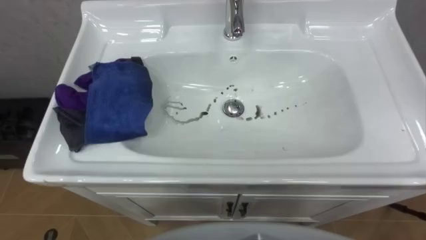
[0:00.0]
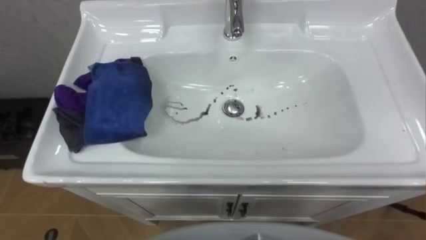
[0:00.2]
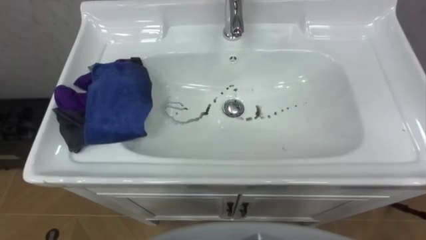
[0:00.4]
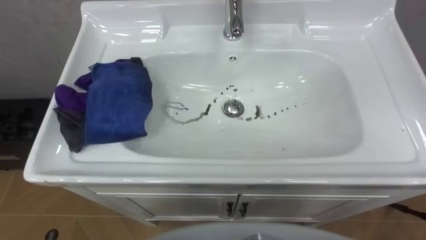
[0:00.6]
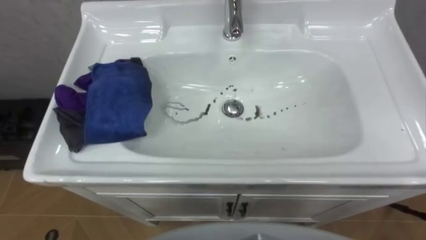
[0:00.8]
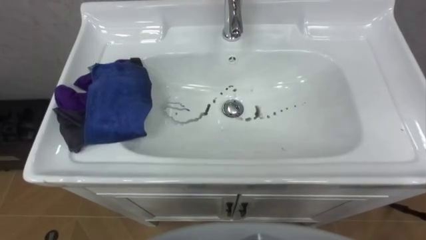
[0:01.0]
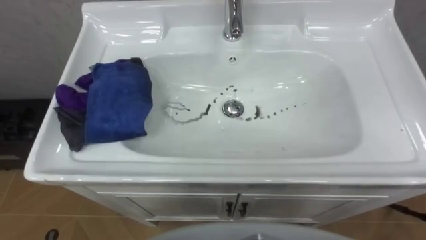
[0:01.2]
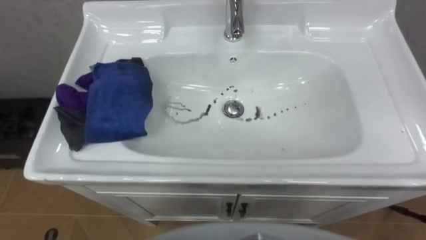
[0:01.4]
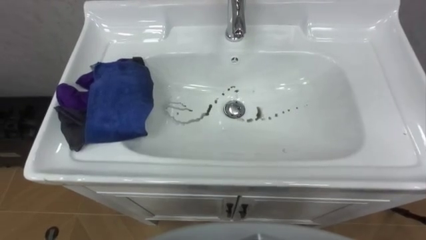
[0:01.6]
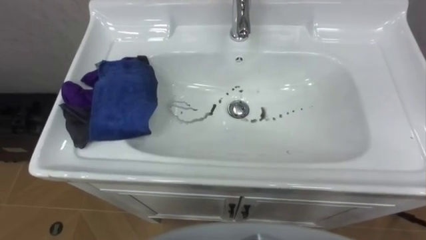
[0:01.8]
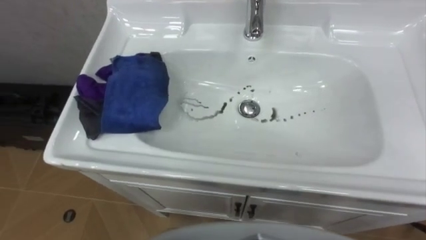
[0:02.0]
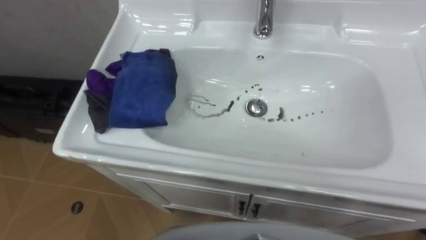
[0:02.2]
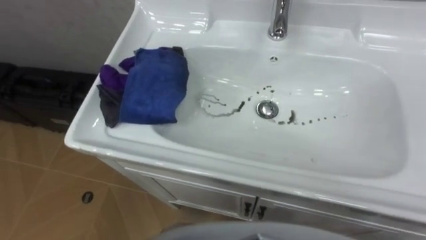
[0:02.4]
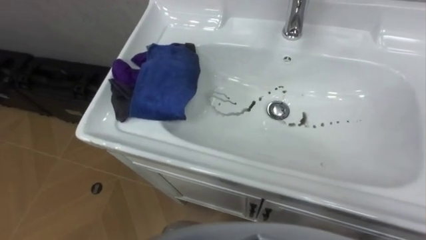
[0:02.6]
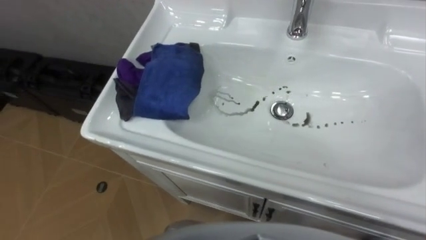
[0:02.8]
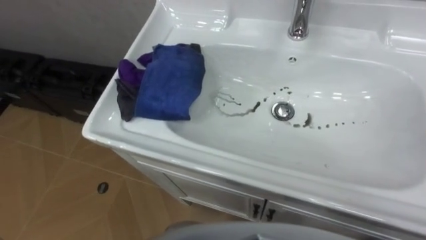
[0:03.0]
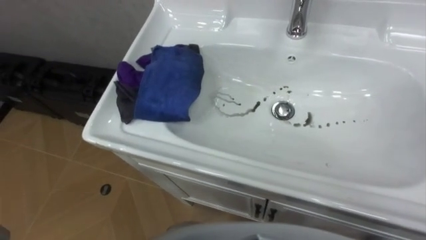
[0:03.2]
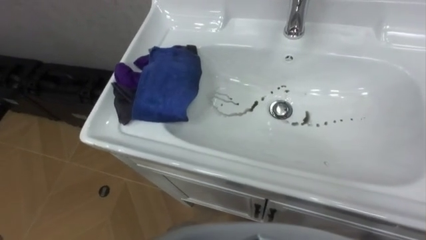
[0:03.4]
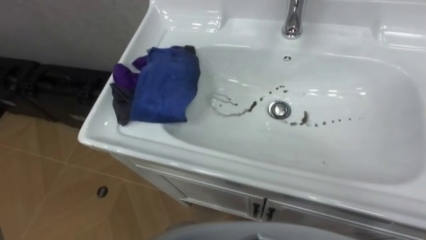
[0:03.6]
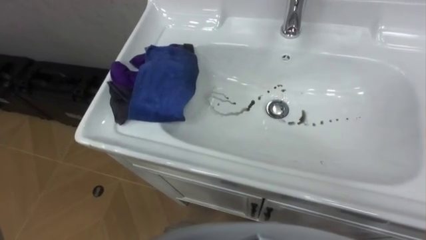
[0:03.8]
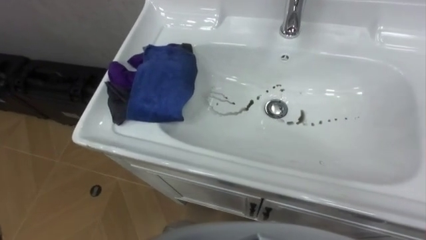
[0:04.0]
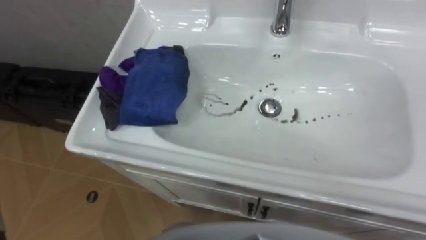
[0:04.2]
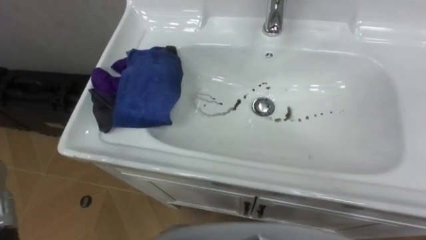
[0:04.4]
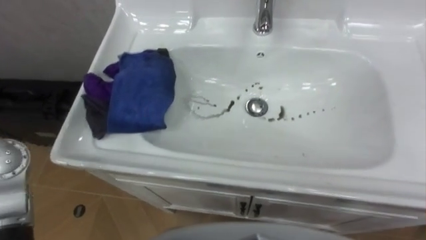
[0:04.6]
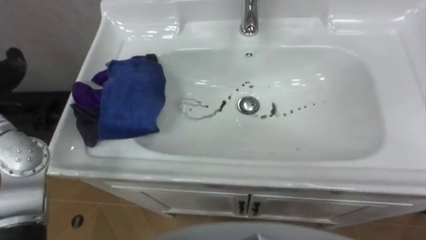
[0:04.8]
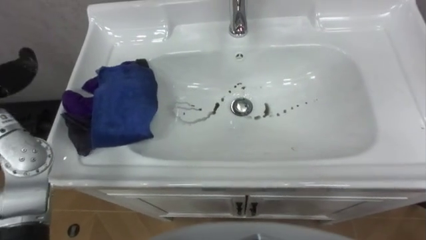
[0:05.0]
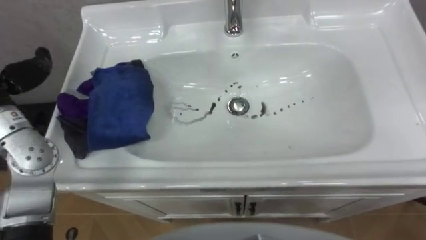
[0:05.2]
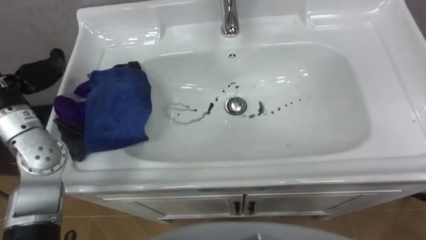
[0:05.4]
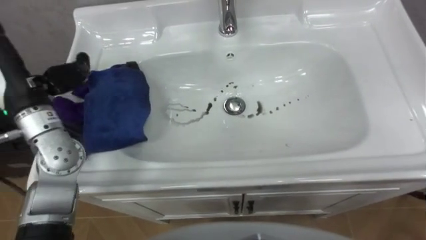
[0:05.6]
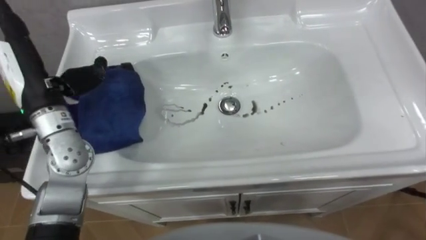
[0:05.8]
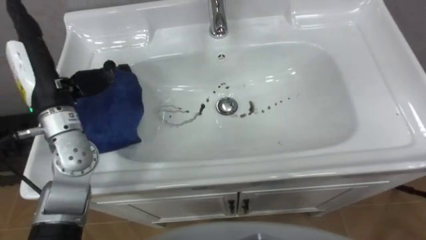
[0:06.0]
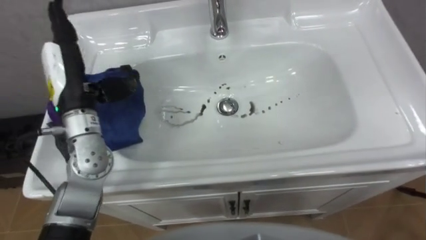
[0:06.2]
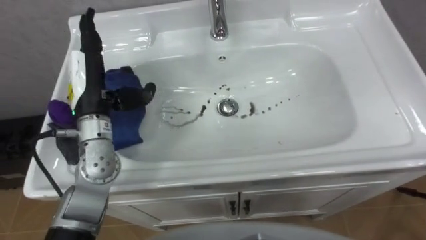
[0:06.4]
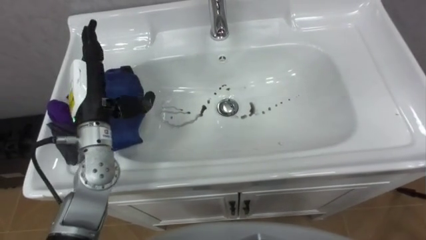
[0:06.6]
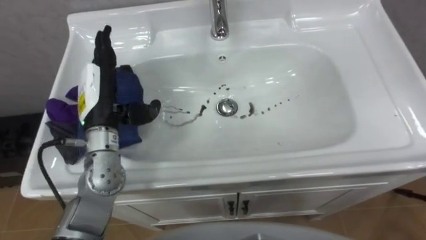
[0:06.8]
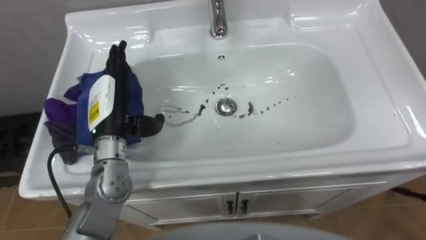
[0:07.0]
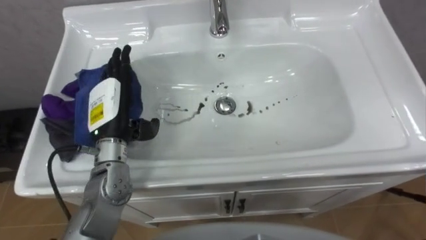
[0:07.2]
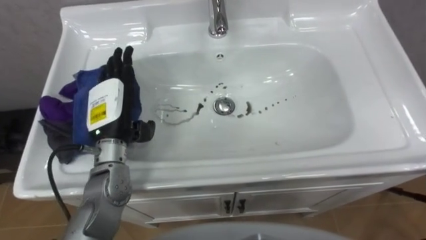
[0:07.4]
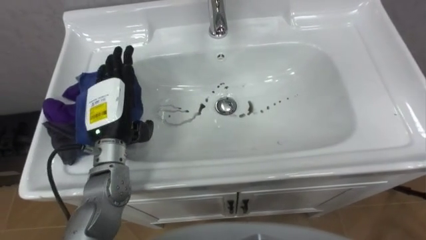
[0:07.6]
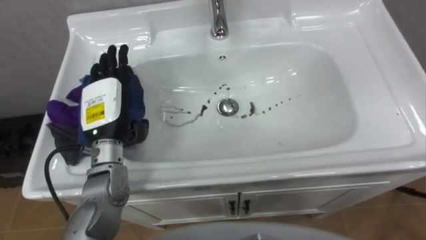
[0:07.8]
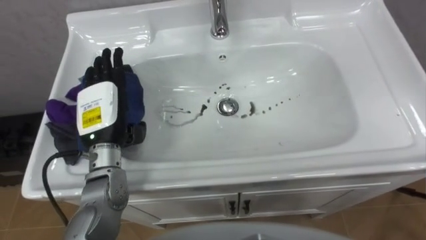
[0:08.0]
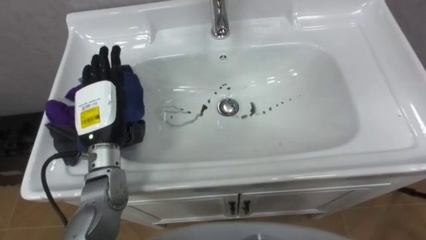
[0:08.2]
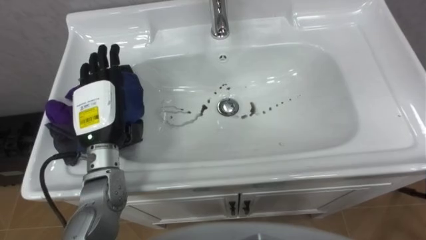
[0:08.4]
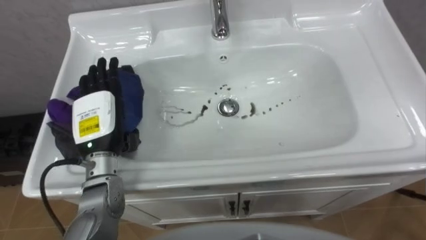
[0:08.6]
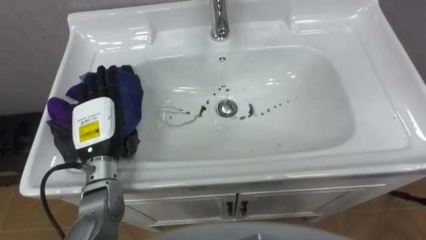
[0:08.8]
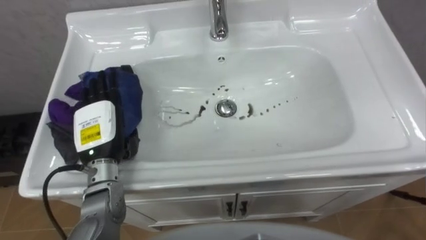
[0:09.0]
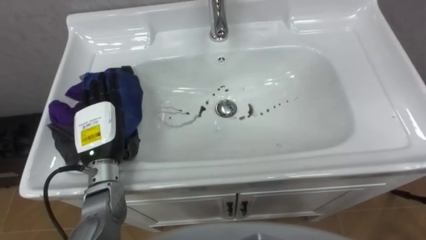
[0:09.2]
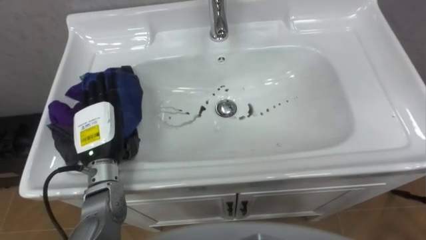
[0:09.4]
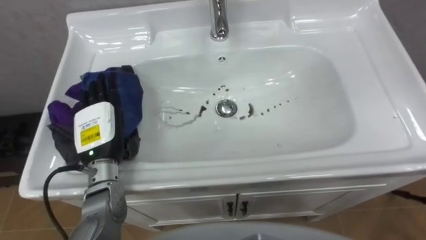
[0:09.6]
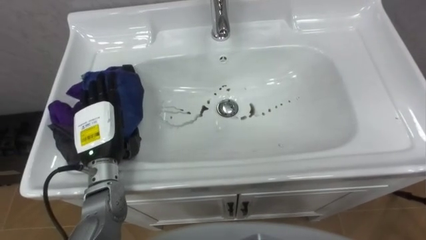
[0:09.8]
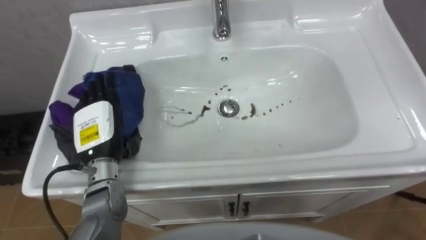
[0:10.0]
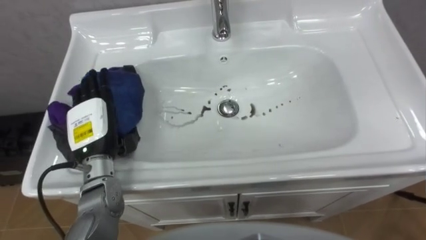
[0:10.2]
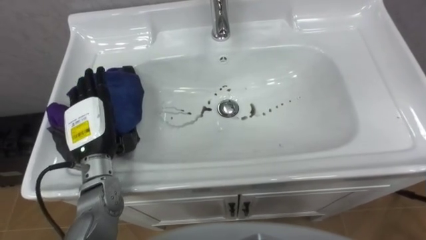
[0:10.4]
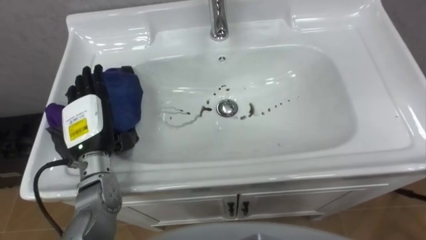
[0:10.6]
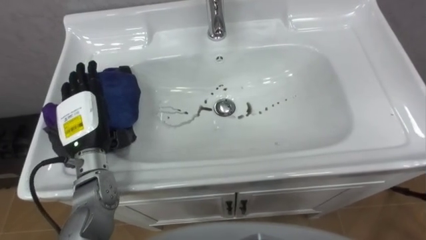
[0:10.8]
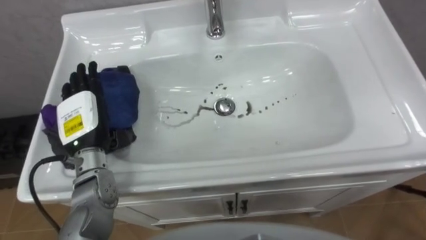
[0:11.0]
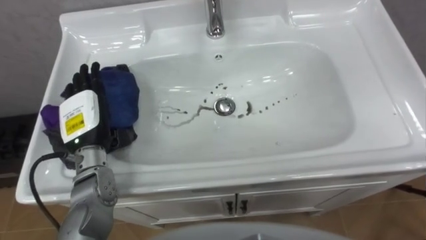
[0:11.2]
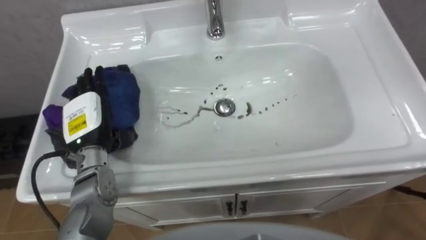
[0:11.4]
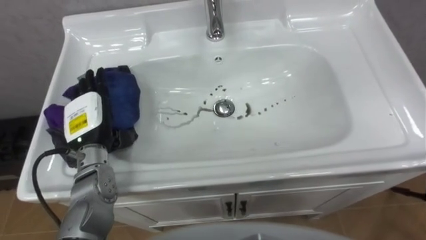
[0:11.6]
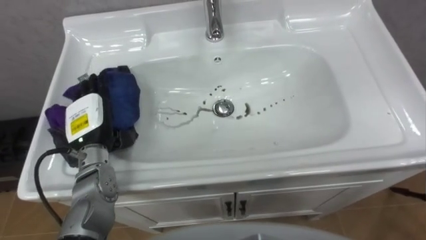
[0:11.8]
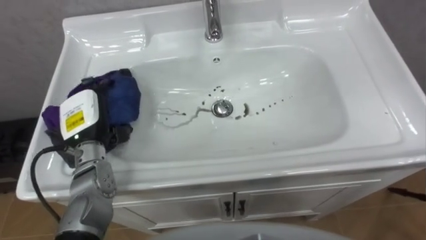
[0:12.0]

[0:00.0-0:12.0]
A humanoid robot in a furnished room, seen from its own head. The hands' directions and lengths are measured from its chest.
Task of the whole recording: Use the cloth on the right to wipe away the black stain in the sink.
0:06.0 to 0:07.6: The left hand heads to the right and downward, covering roughly 10 cm.
0:07.6 to 0:09.0: The left hand shifts by some 5 cm.

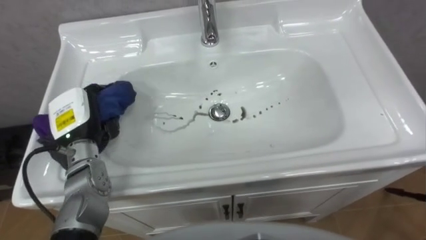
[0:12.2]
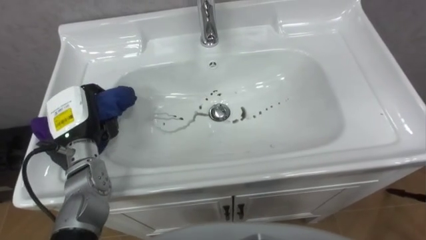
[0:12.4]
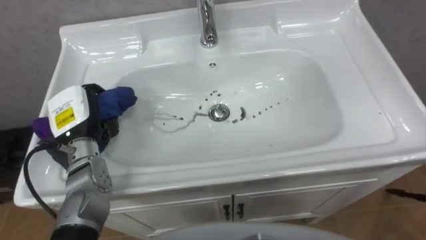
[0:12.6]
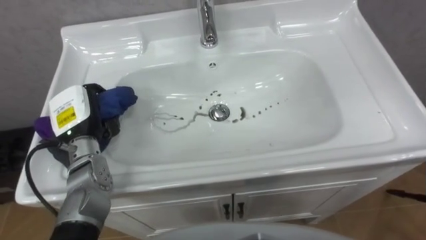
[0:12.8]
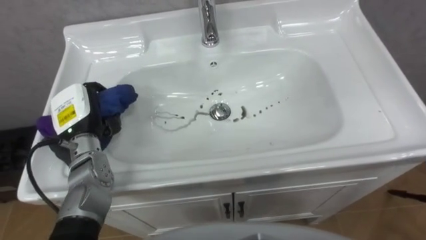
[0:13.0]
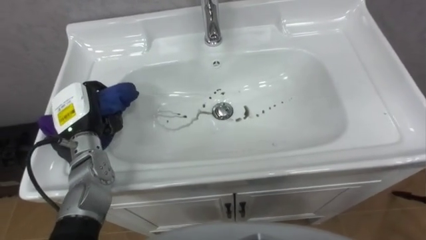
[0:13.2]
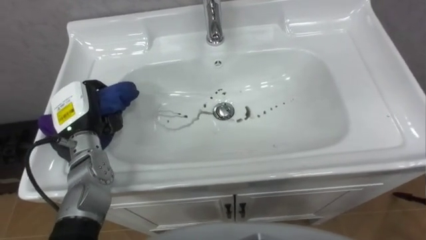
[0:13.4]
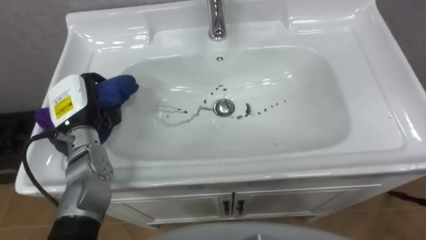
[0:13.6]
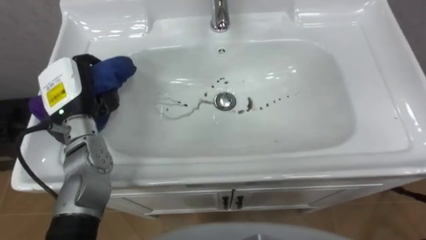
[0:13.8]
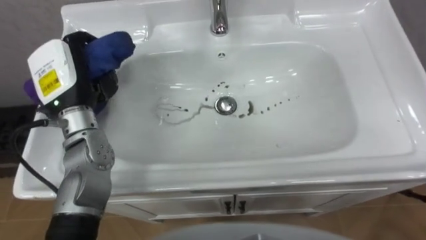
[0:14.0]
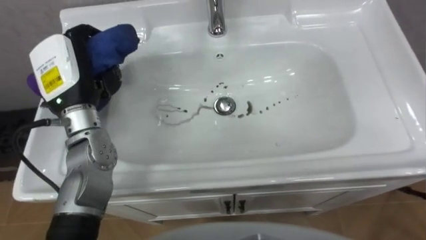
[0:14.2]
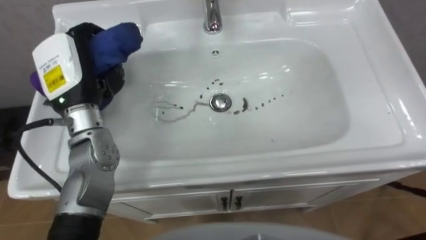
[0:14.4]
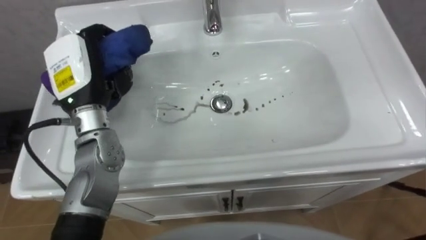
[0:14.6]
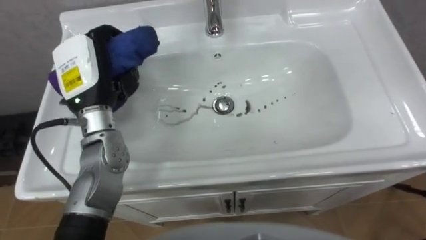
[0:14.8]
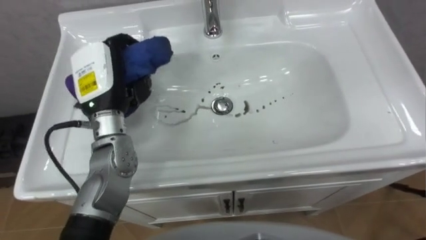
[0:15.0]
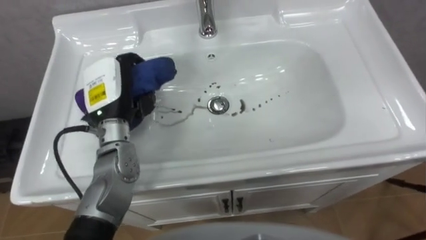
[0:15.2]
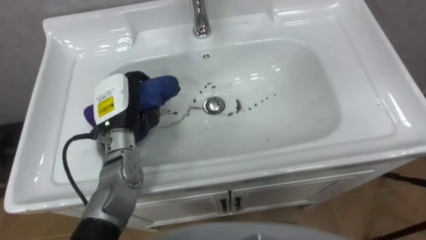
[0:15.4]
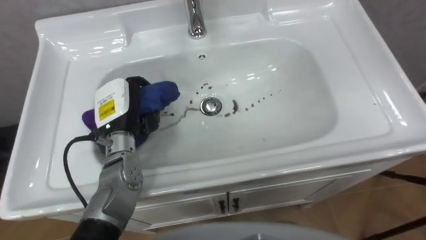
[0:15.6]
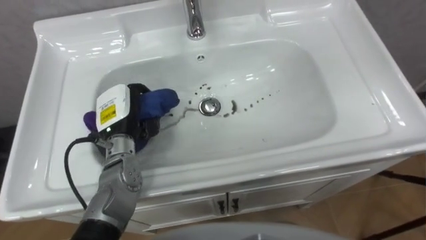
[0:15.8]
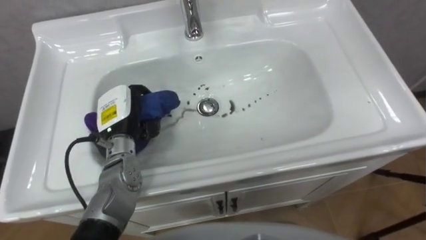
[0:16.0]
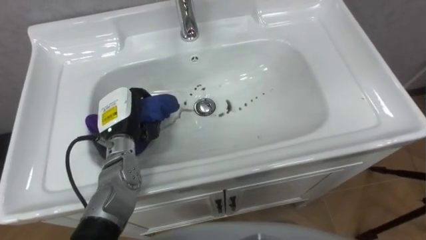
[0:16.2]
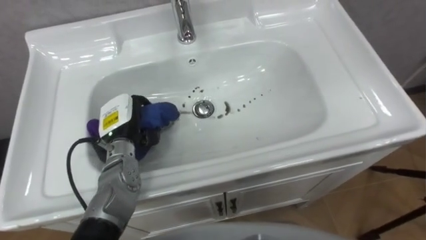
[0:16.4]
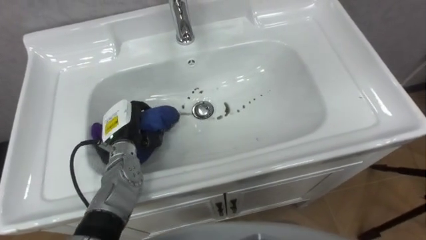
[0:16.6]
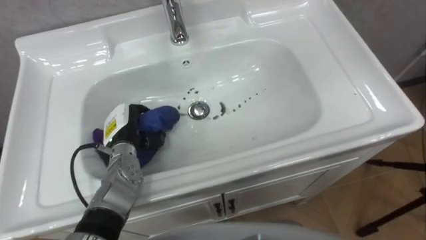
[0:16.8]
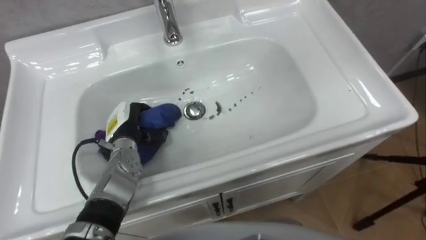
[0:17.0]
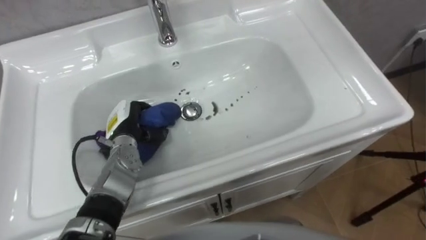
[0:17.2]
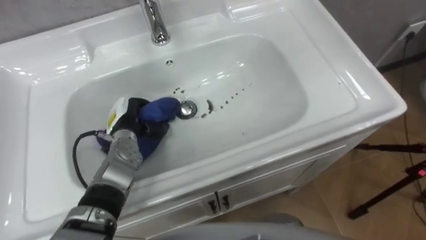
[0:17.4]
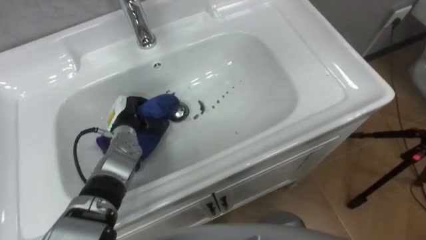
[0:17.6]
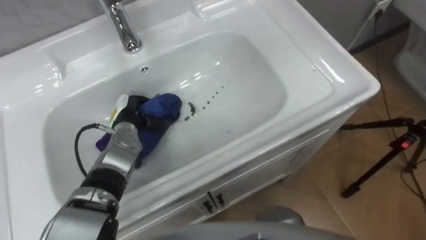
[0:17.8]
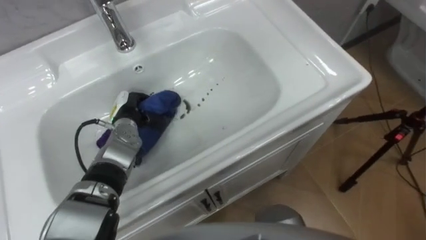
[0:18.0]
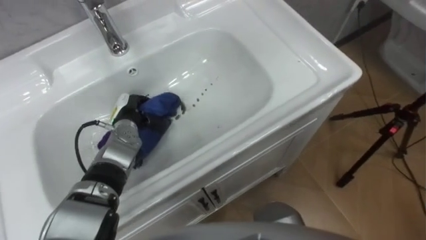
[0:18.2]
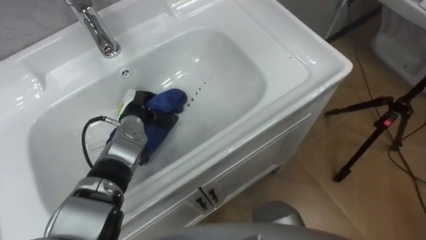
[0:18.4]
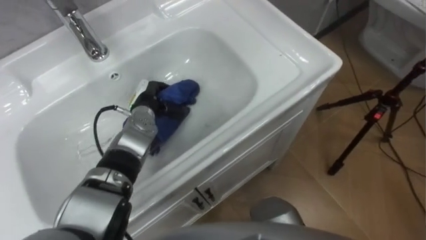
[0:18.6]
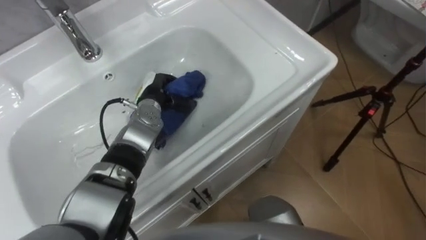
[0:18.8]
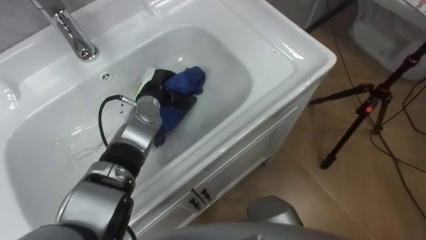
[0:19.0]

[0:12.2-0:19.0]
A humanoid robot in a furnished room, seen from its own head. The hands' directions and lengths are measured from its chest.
Task of the whole recording: Use the cloth on the right to wipe away the black stain in the sink.
0:13.6 to 0:15.0: The left hand goes some 10 cm upward and to the right.
0:15.0 to 0:16.2: The left hand shifts roughly 10 cm downward.
0:16.2 to 0:17.6: The left hand heads downward, covering about 5 cm.
0:17.6 to 0:19.0: The left hand moves to the right and forward, approximately 10 cm.
